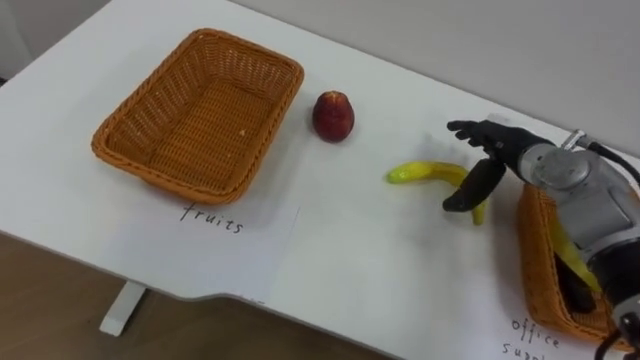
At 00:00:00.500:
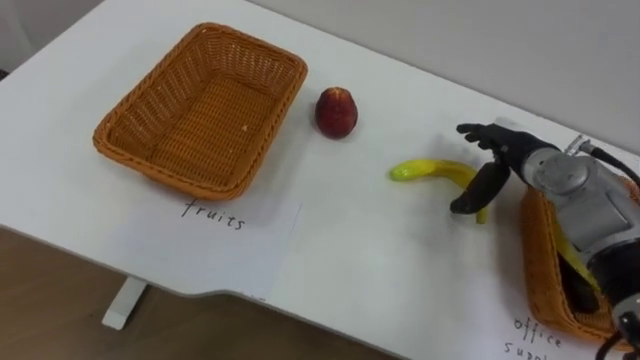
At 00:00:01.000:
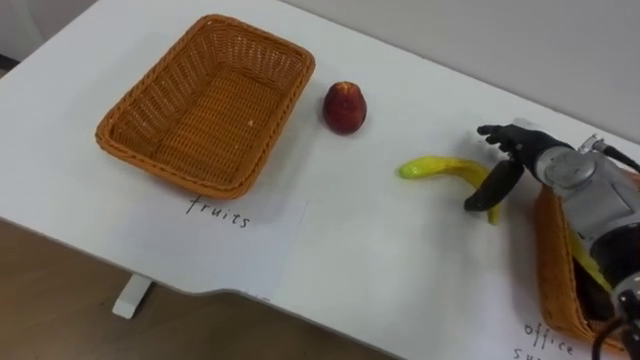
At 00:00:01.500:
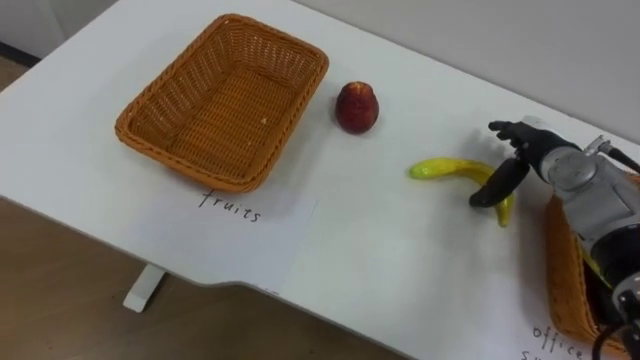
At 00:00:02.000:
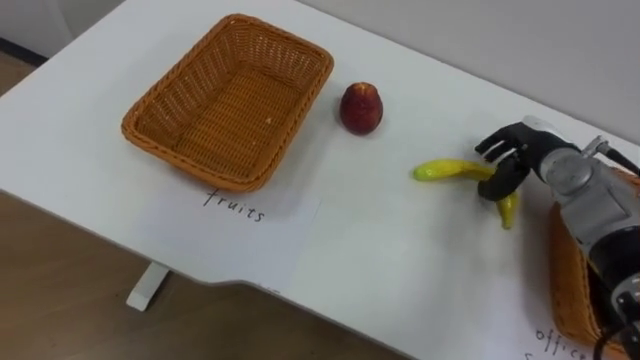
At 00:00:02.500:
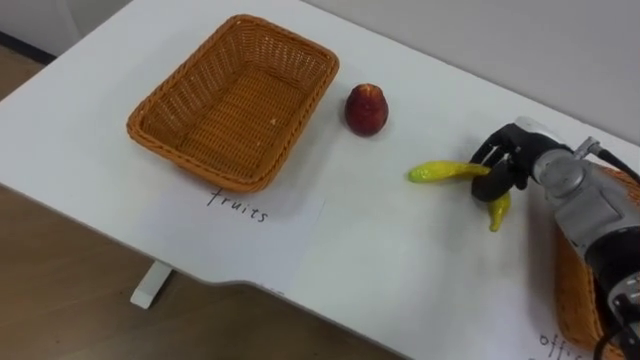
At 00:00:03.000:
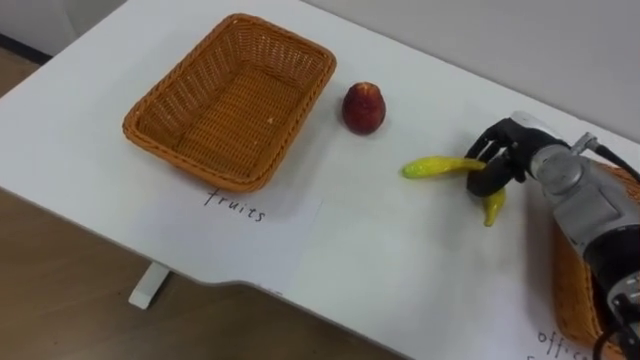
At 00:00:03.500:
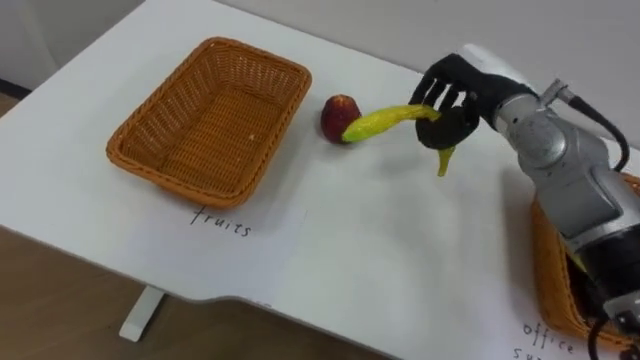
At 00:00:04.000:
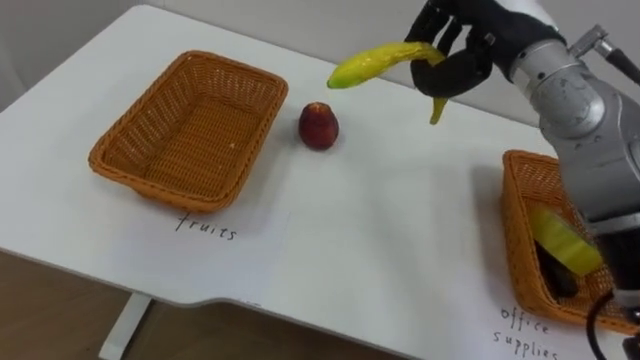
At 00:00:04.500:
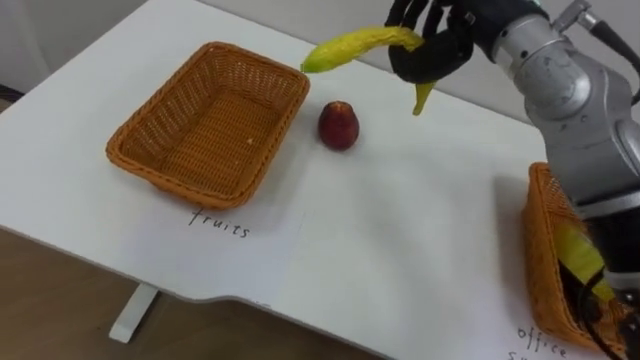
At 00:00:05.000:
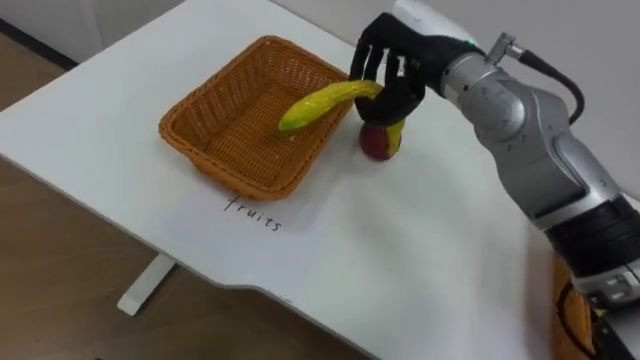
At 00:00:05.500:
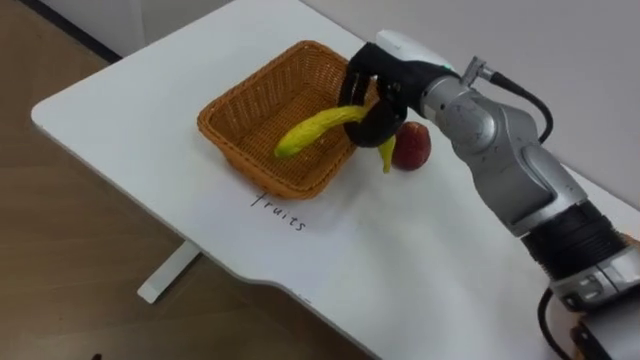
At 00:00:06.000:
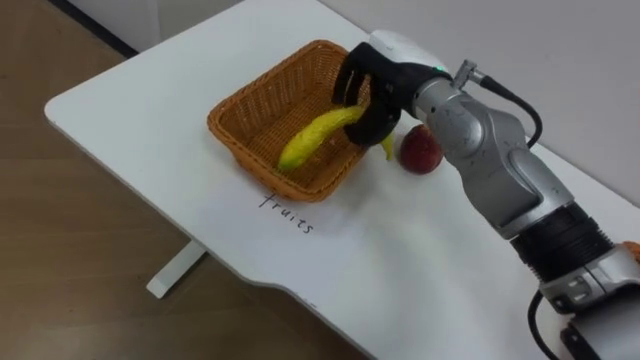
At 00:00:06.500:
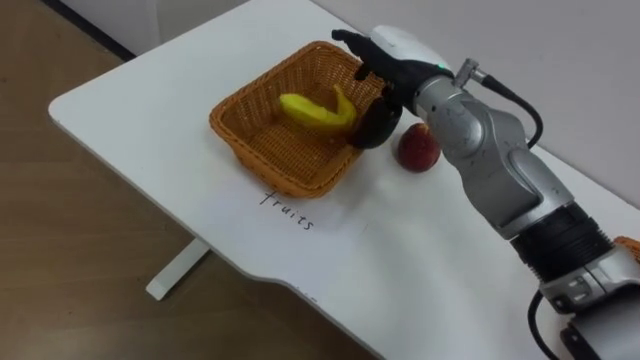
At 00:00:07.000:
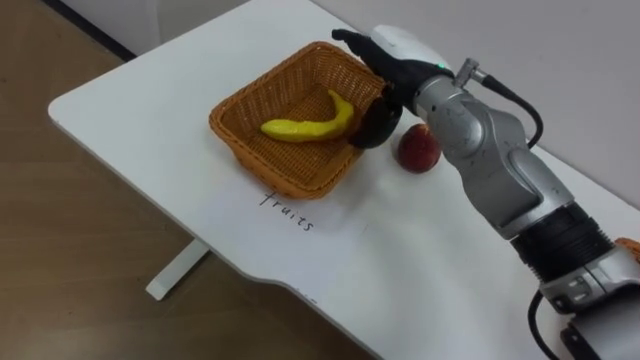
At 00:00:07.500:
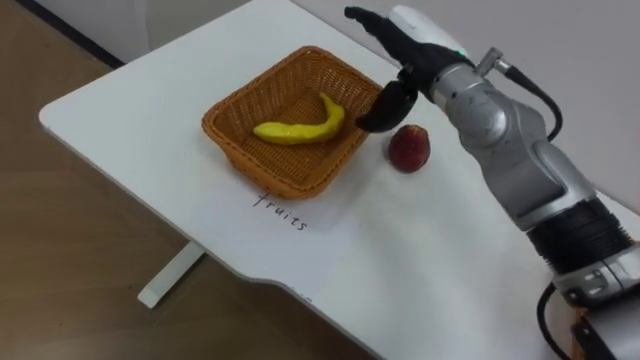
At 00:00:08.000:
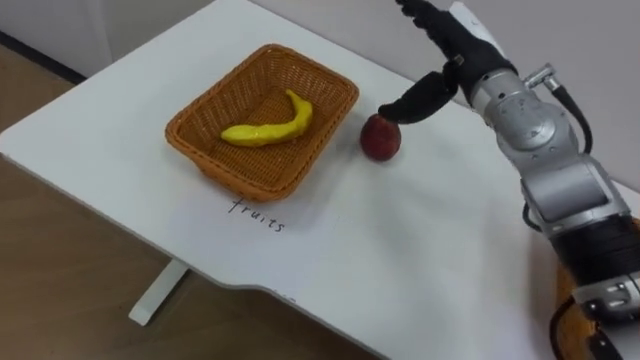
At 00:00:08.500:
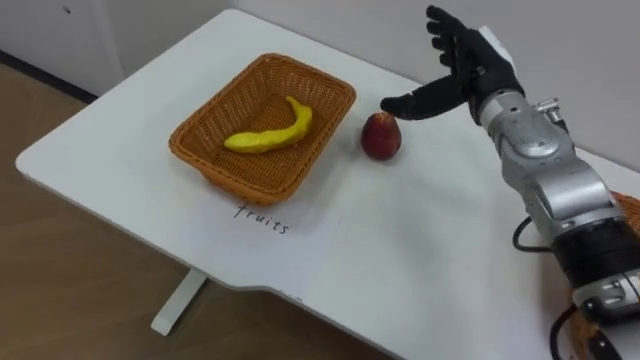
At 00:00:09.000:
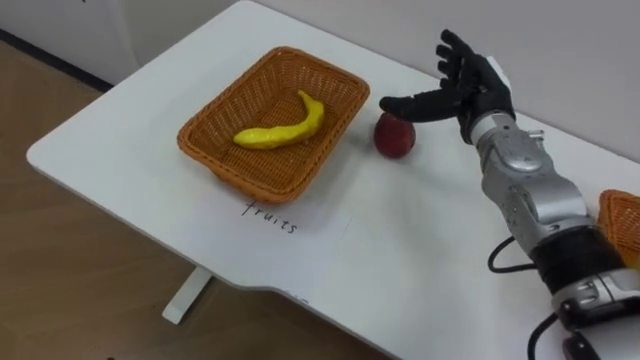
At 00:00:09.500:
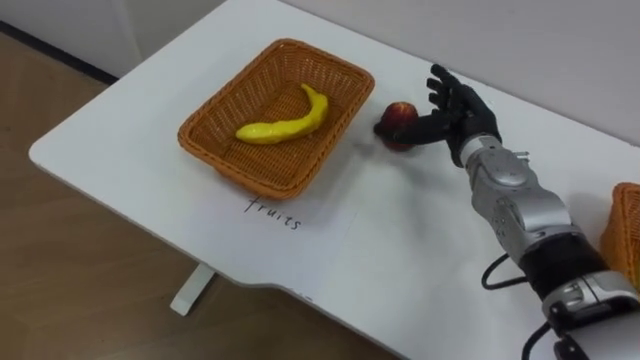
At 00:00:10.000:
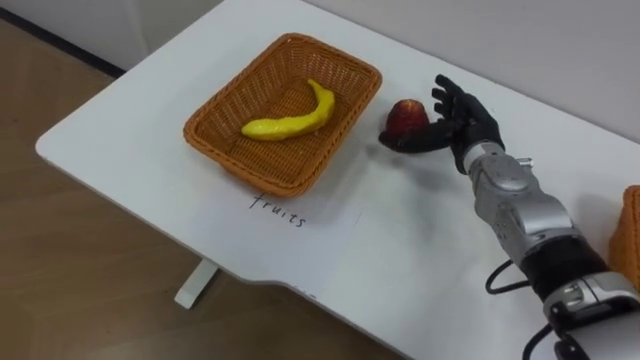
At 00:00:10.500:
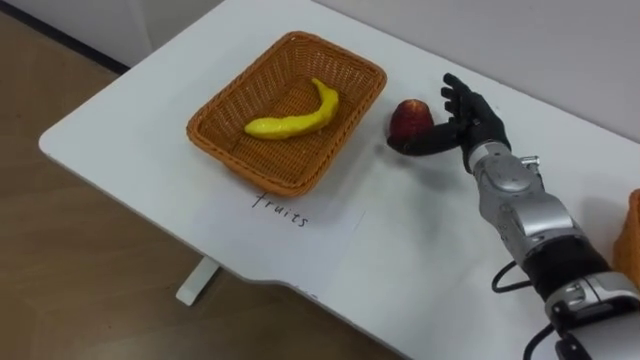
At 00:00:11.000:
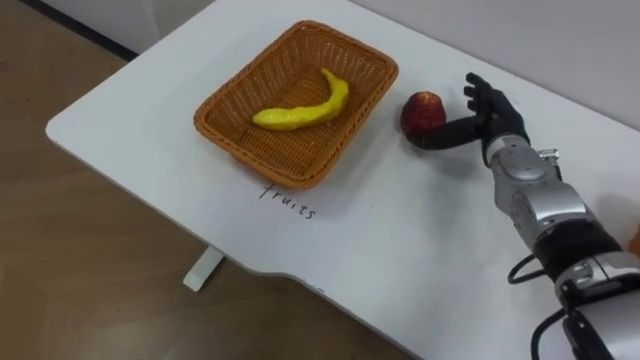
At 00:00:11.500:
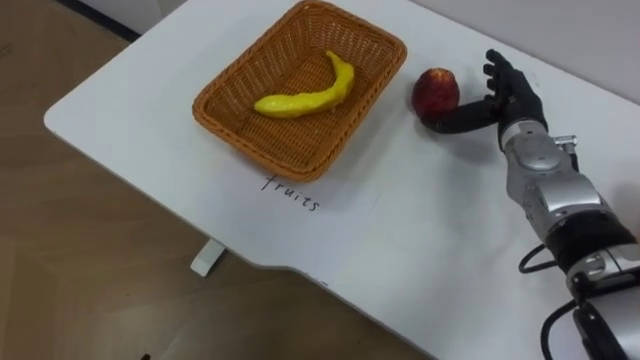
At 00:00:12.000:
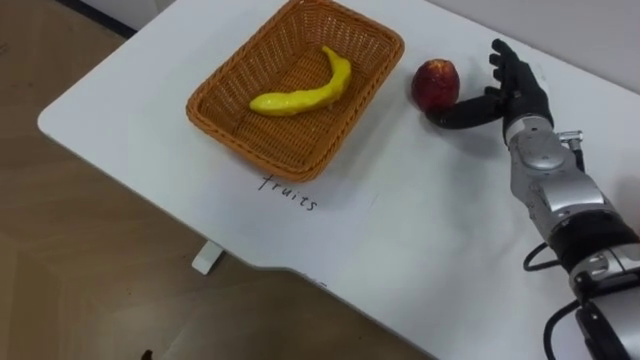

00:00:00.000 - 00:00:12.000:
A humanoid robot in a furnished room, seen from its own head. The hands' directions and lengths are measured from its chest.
Task of the whole recording: Separate the items on the table and place them into the two baskets.
00:00:02.000 - 00:00:04.000: The right hand travels upward and to the left by approximately 20 cm, and closes up.
00:00:06.000 - 00:00:08.000: The right hand heads to the right, covering roughly 5 cm, and opens up.
00:00:08.000 - 00:00:10.000: The right hand moves downward, approximately 10 cm.
00:00:10.000 - 00:00:12.000: The right hand is displaced to the right by about 5 cm.

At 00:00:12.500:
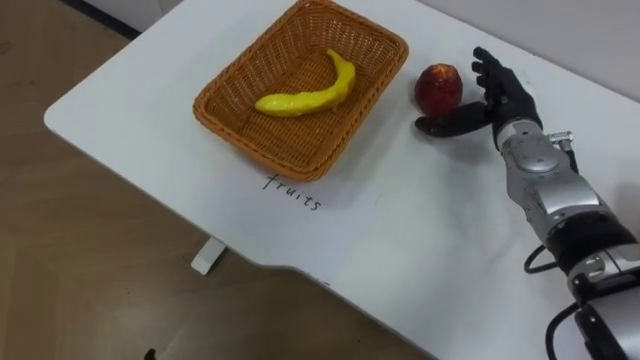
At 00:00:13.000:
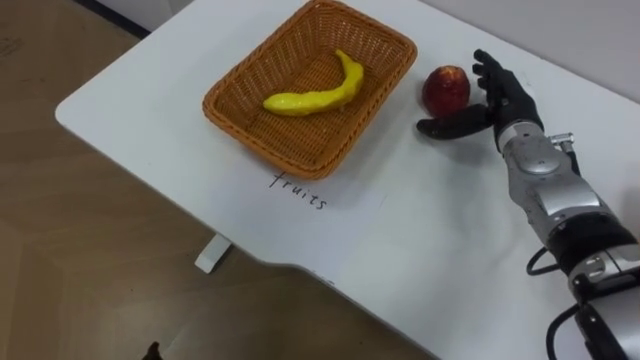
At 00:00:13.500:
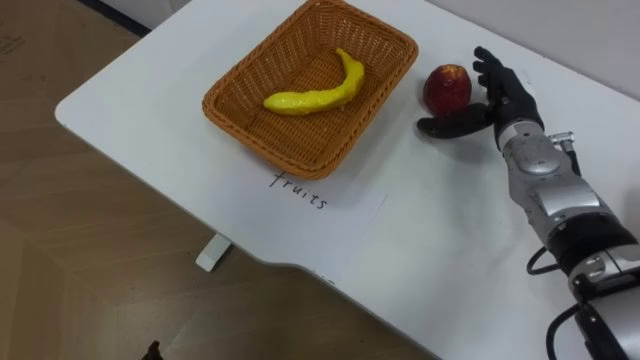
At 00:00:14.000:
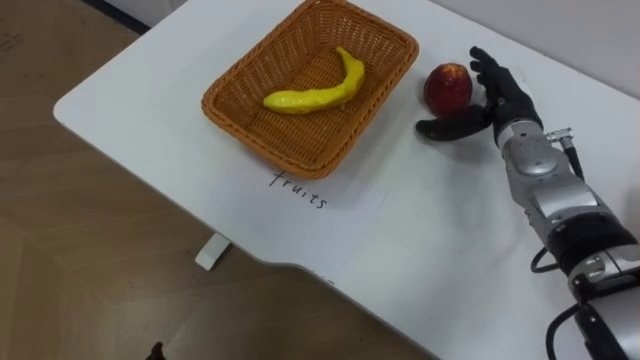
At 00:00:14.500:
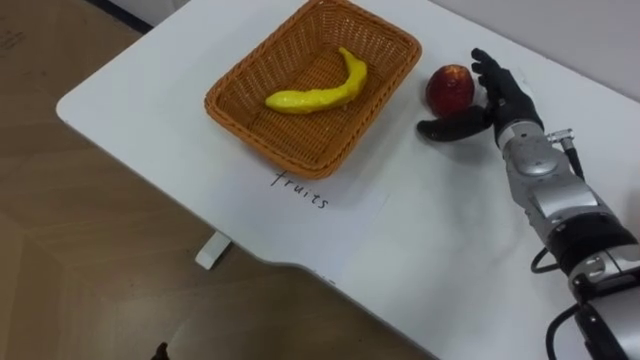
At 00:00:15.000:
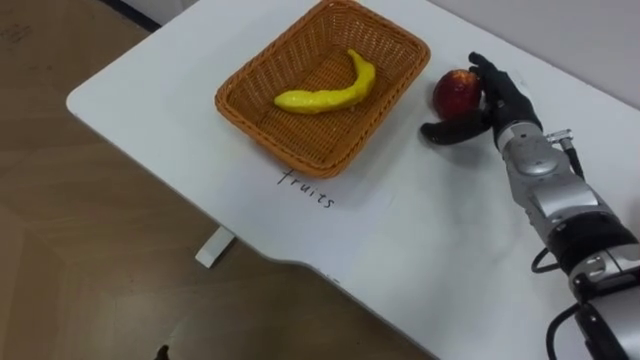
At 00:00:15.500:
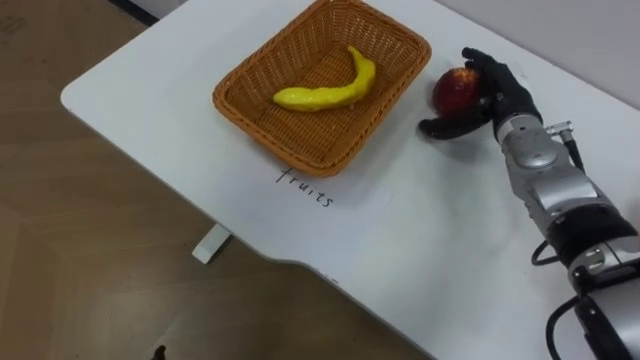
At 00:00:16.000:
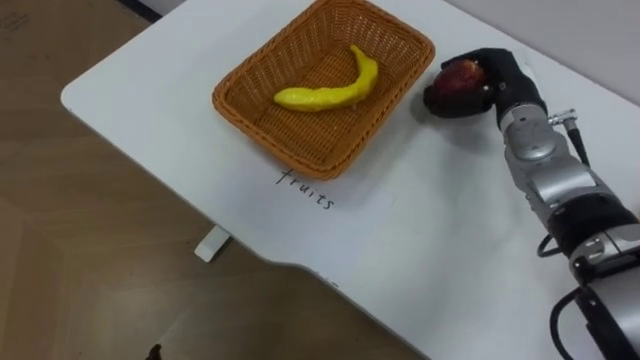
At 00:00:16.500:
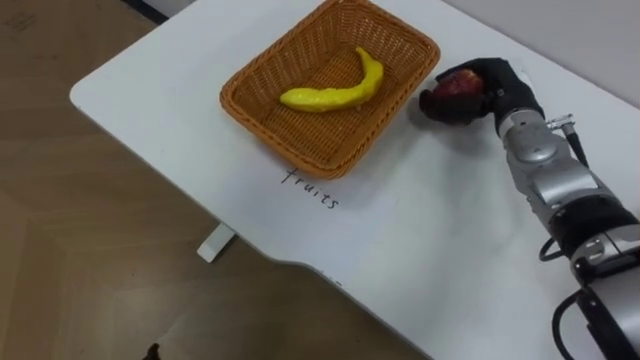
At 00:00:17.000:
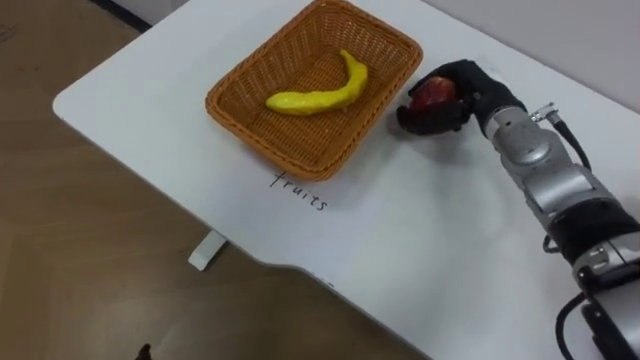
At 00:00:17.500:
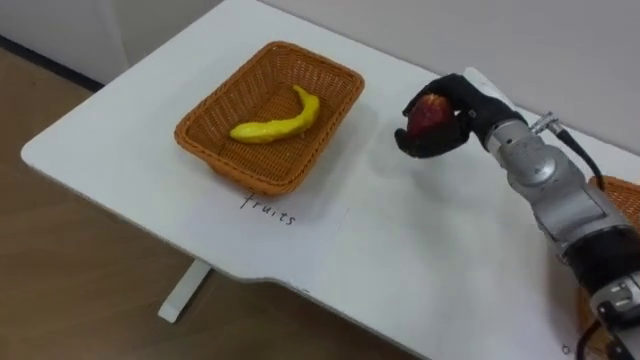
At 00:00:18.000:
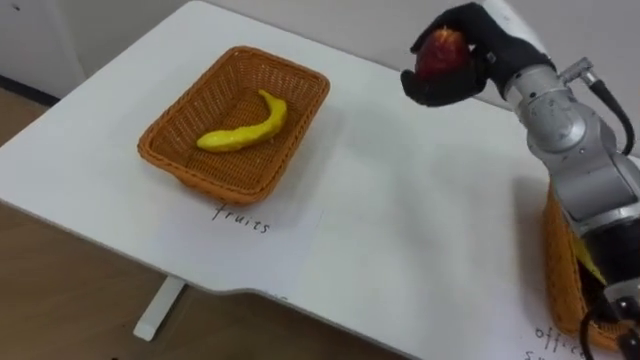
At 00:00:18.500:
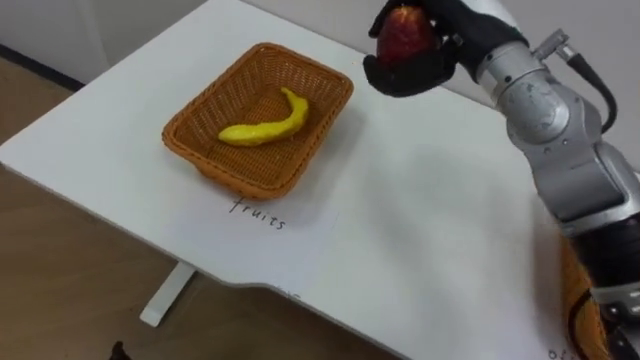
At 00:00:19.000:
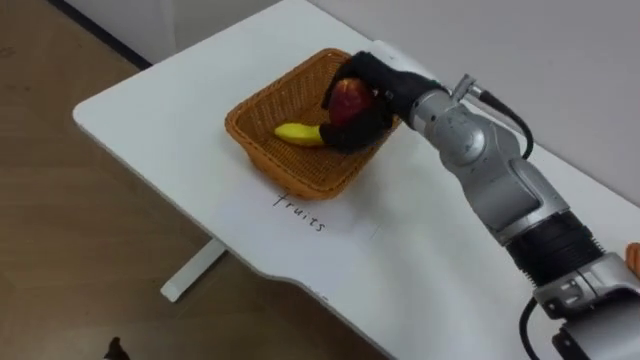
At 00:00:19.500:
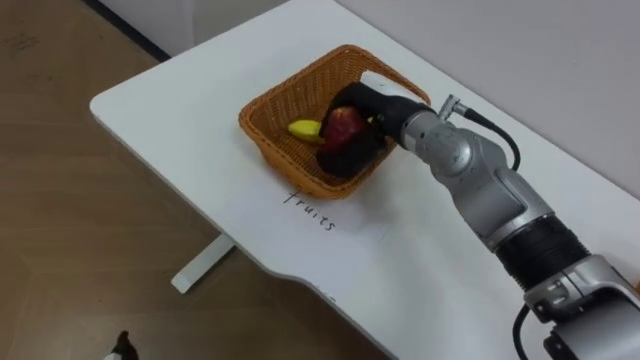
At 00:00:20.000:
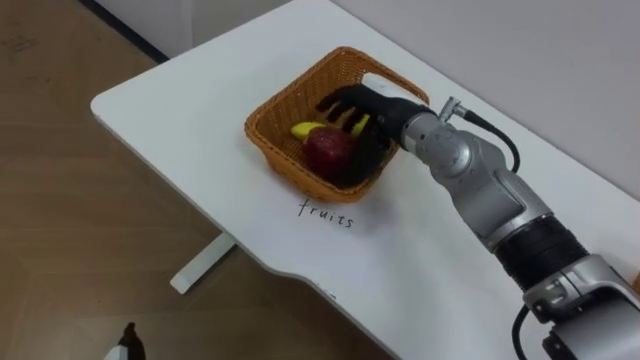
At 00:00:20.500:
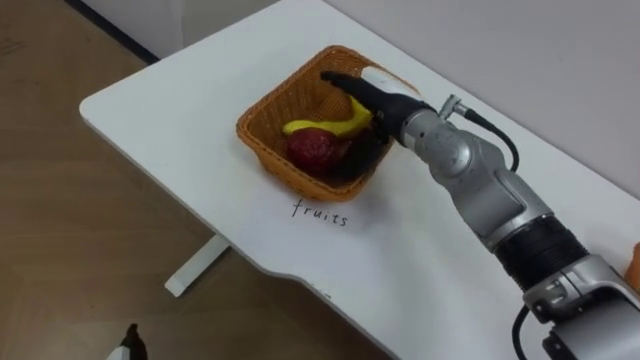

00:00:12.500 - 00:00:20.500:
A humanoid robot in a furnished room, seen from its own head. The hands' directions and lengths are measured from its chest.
Task of the whole recording: Separate the items on the table and place them into the two baskets.
00:00:14.500 - 00:00:16.500: The right hand closes.
00:00:16.500 - 00:00:18.500: The right hand goes some 15 cm upward and to the left.
00:00:18.500 - 00:00:20.500: The right hand goes about 15 cm downward and to the left, and opens.
